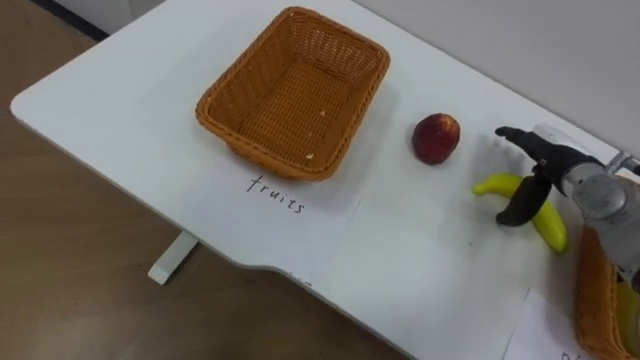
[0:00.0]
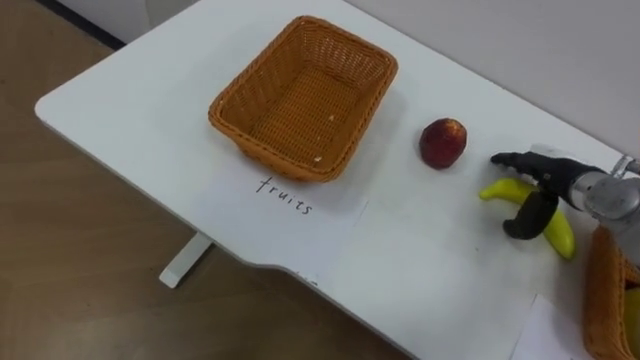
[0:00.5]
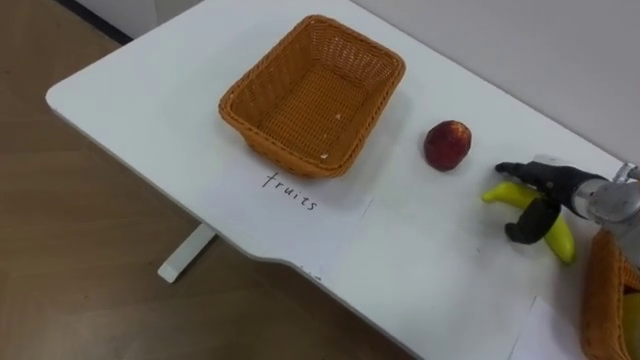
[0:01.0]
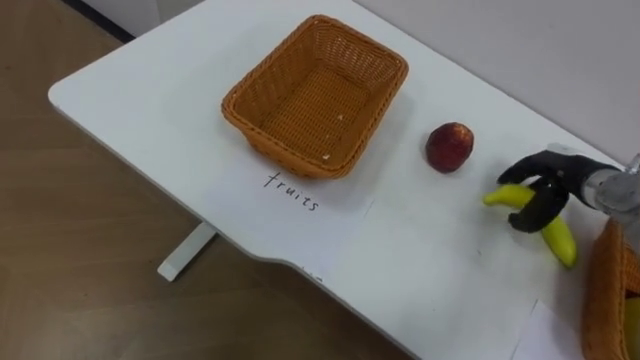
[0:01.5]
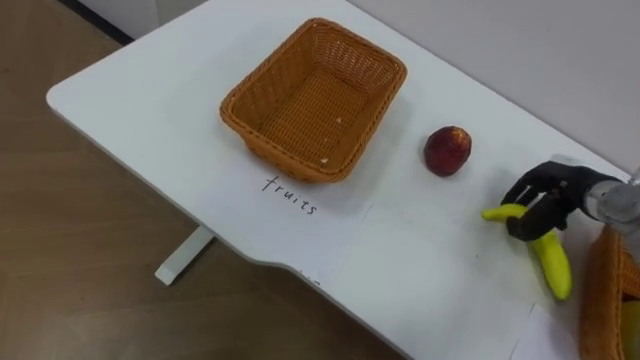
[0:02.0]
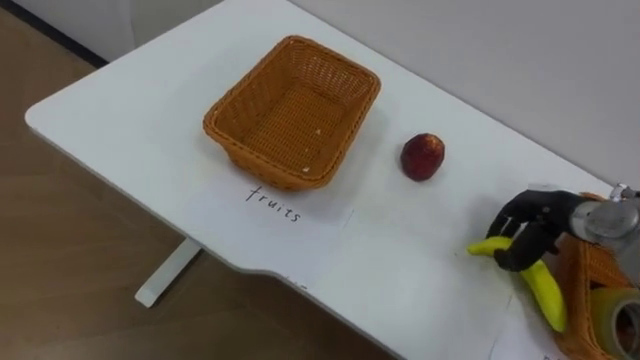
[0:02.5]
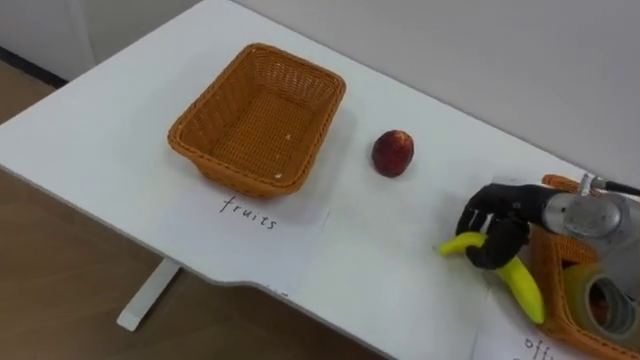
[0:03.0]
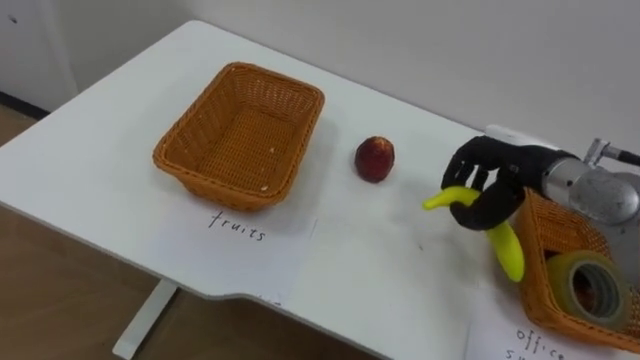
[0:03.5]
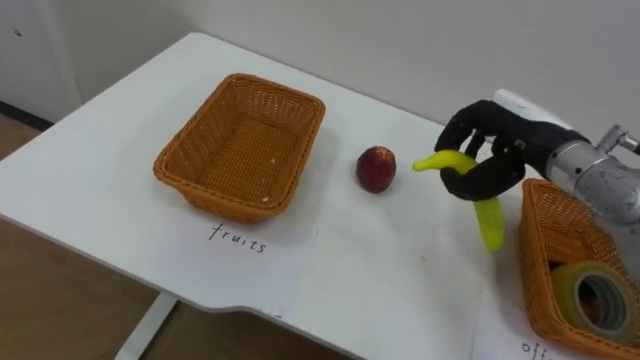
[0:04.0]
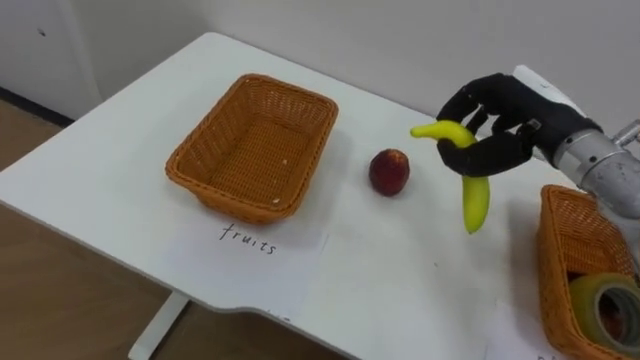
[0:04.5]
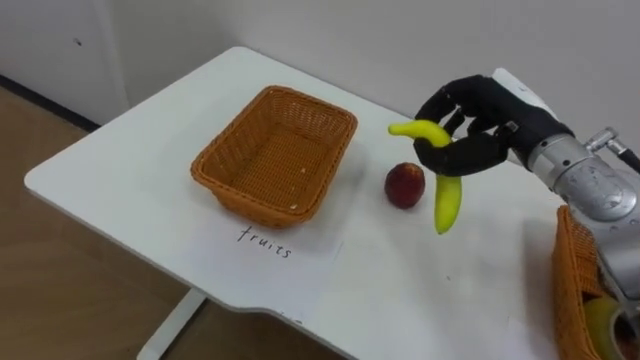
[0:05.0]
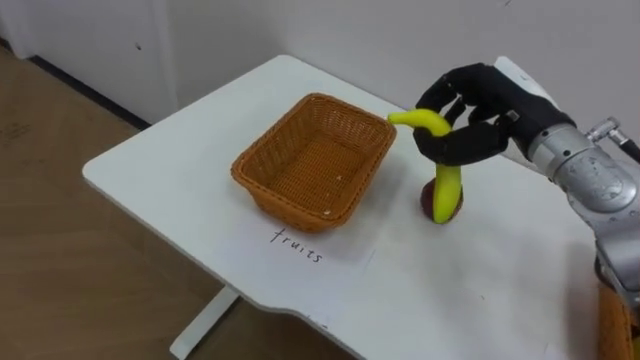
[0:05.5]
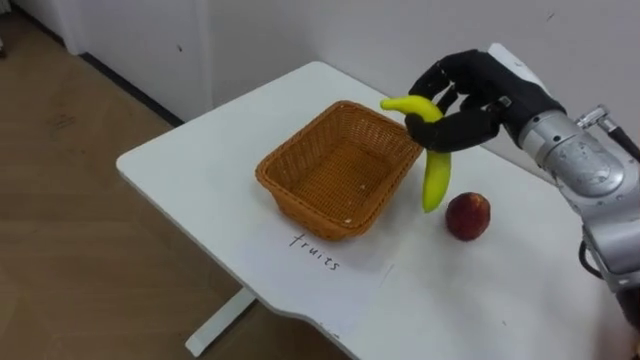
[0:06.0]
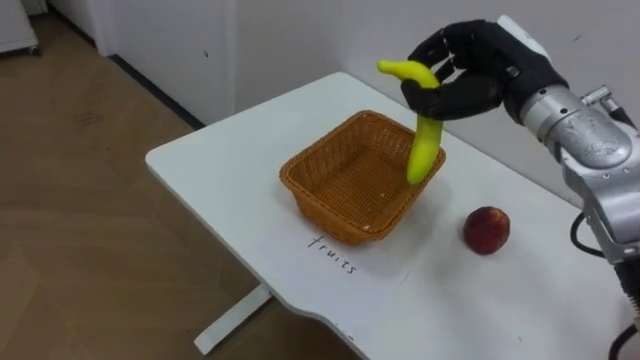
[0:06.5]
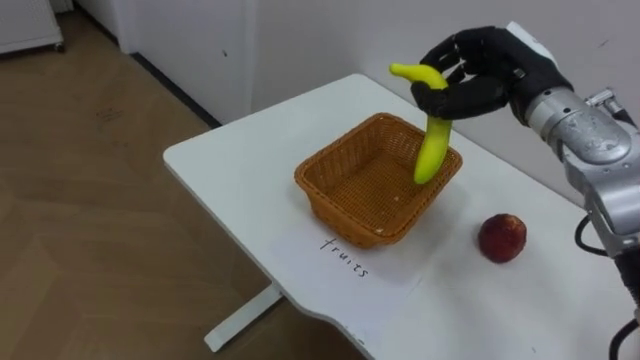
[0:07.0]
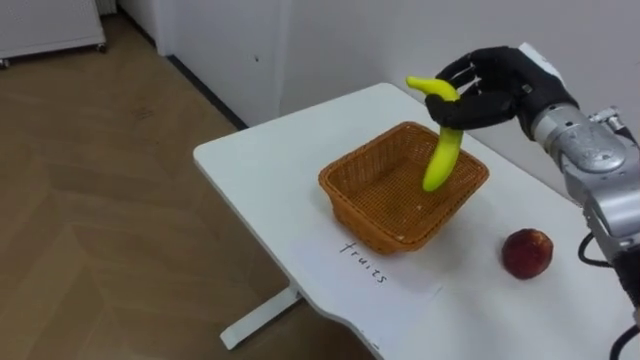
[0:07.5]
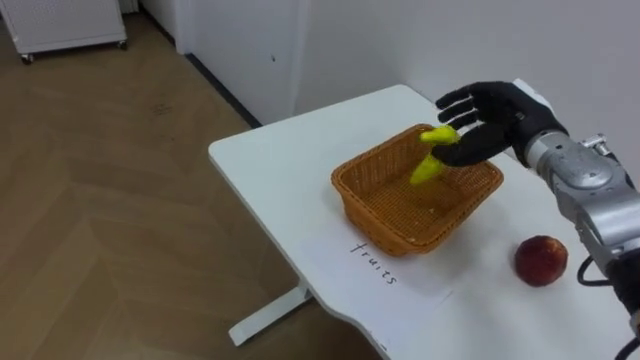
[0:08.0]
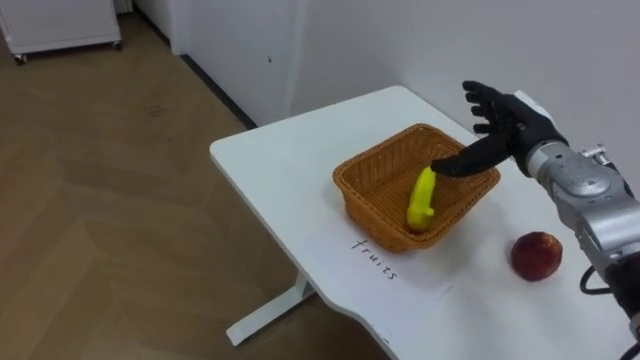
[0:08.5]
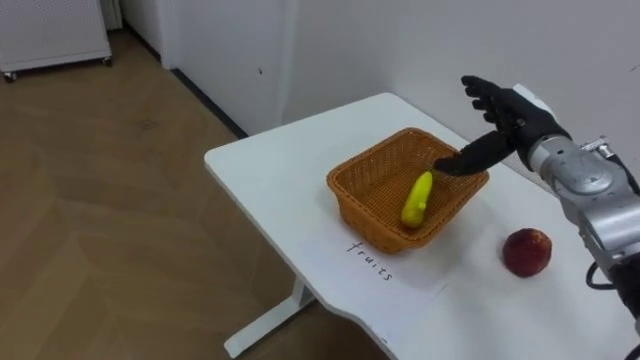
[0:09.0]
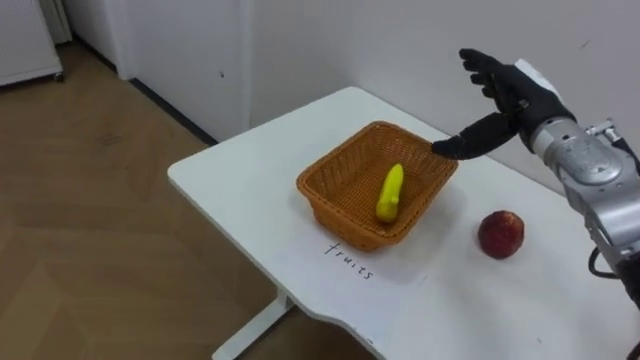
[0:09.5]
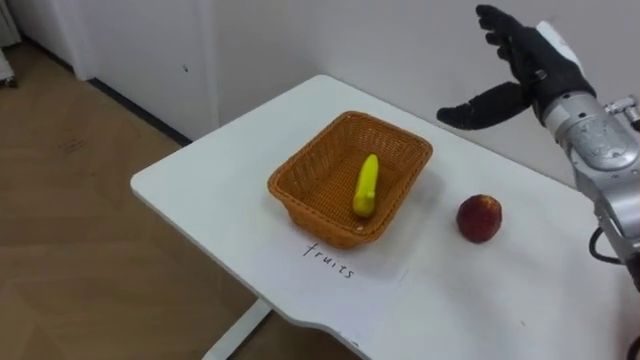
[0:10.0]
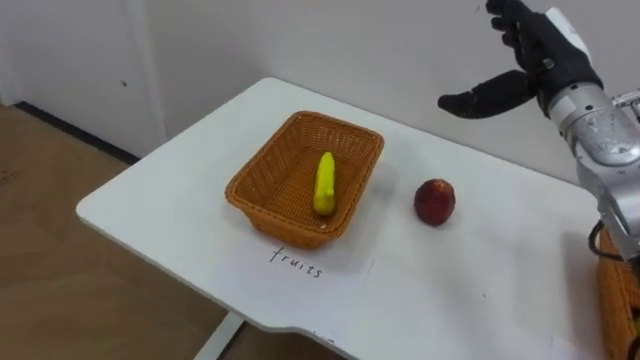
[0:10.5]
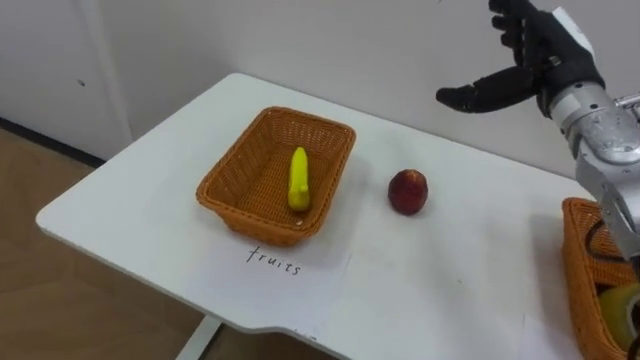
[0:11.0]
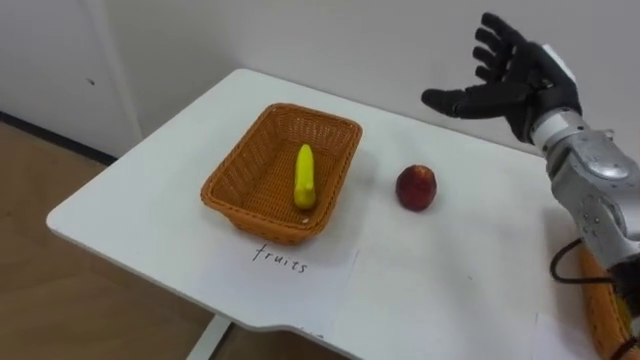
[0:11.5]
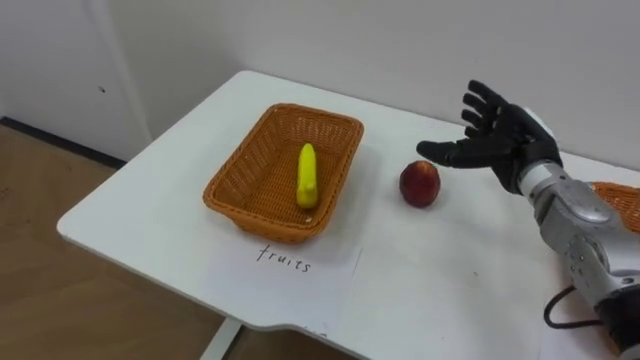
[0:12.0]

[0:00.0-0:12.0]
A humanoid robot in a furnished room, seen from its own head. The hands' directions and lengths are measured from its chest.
Task of the whole recording: Separate the items on the table and place them into the two baskets.
0.0 to 2.0 s: The right hand closes up.
2.0 to 4.0 s: The right hand is displaced upward and to the left by approximately 15 cm.
4.0 to 6.0 s: The right hand moves some 5 cm.
6.0 to 8.0 s: The right hand moves downward, some 5 cm.
8.0 to 10.0 s: The right hand goes some 5 cm upward, and opens its fingers.
10.0 to 12.0 s: The right hand is displaced downward by some 10 cm.

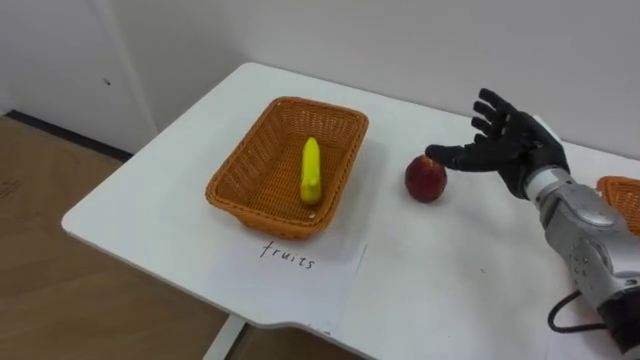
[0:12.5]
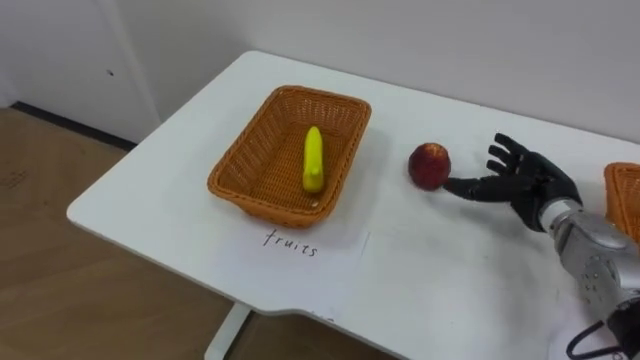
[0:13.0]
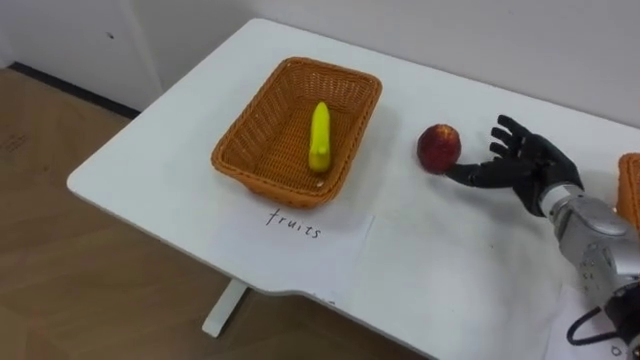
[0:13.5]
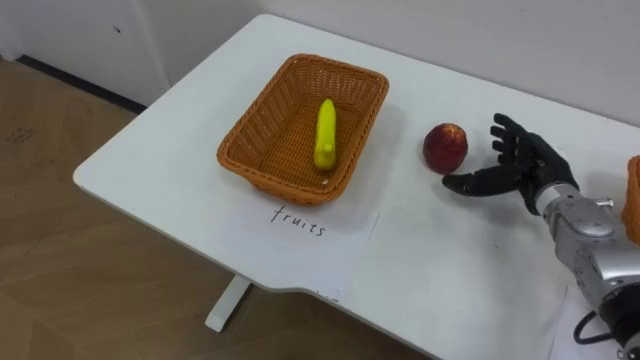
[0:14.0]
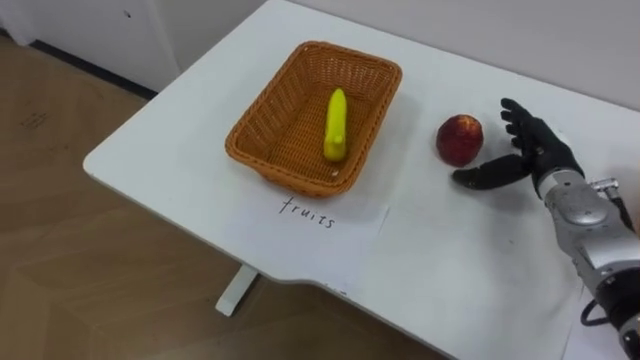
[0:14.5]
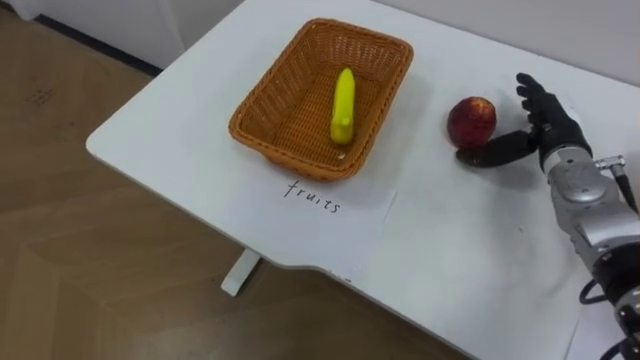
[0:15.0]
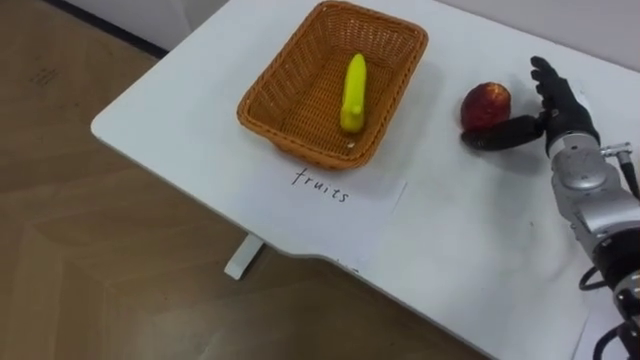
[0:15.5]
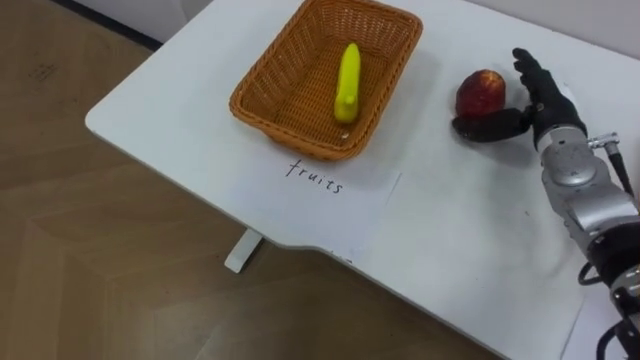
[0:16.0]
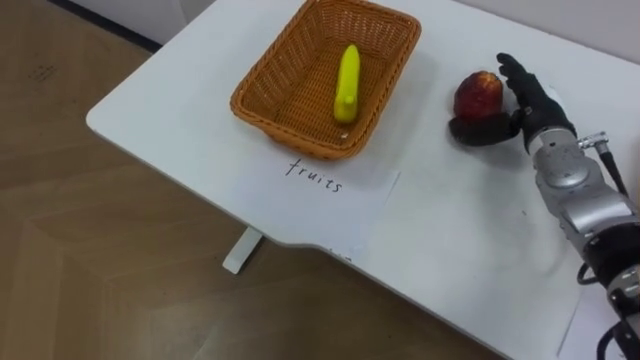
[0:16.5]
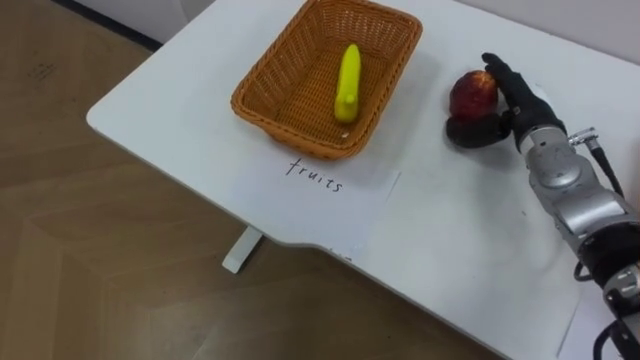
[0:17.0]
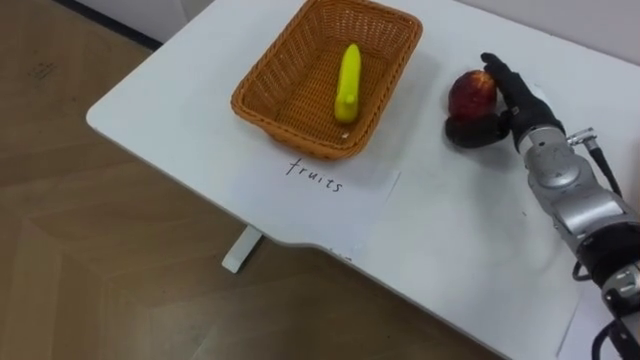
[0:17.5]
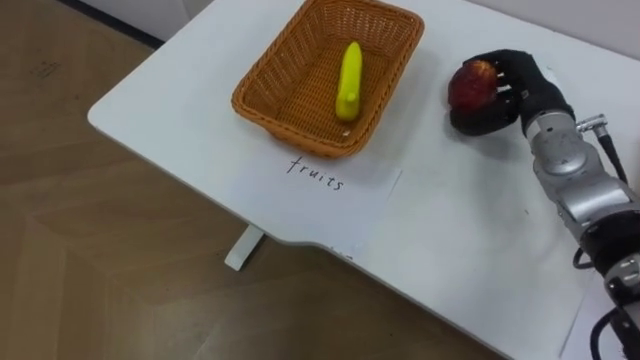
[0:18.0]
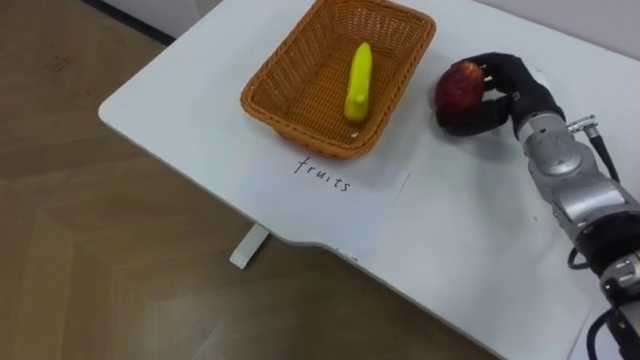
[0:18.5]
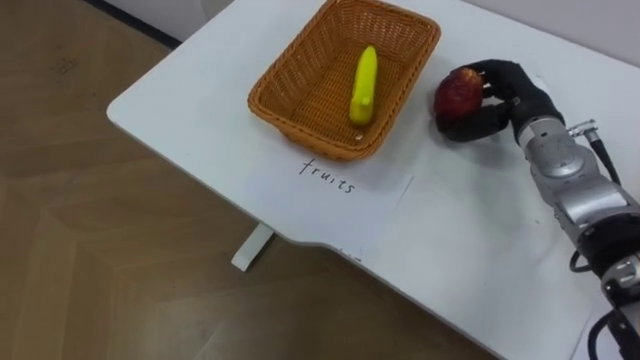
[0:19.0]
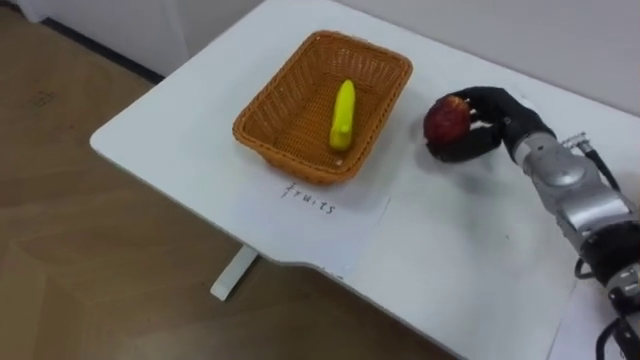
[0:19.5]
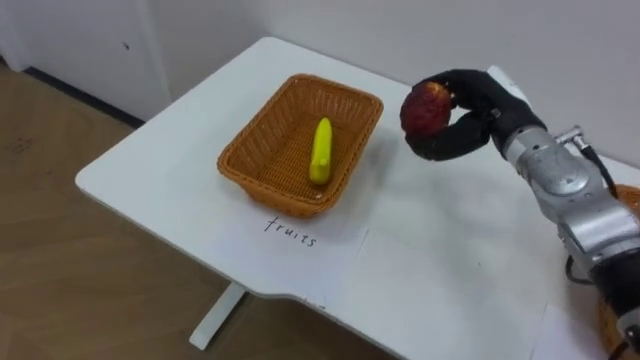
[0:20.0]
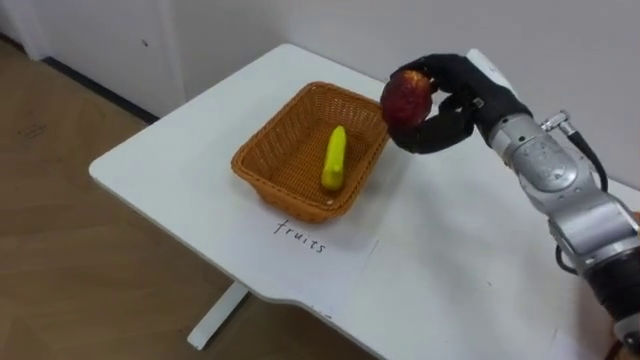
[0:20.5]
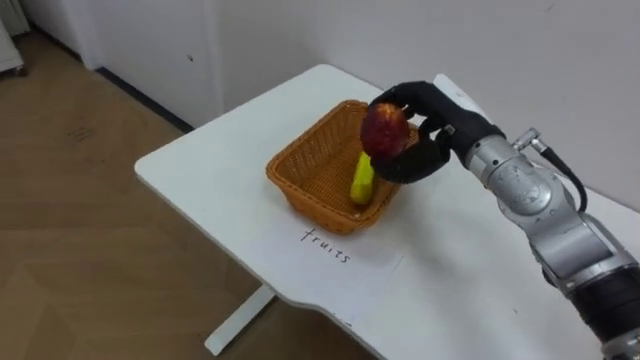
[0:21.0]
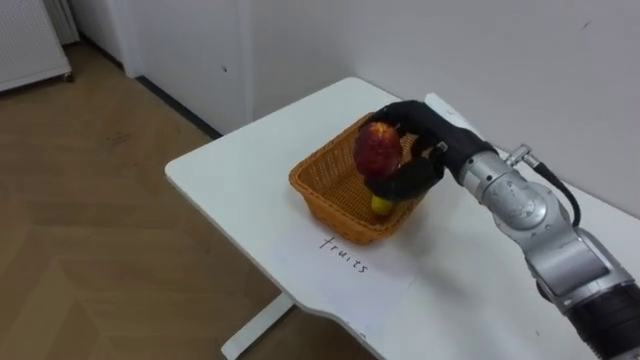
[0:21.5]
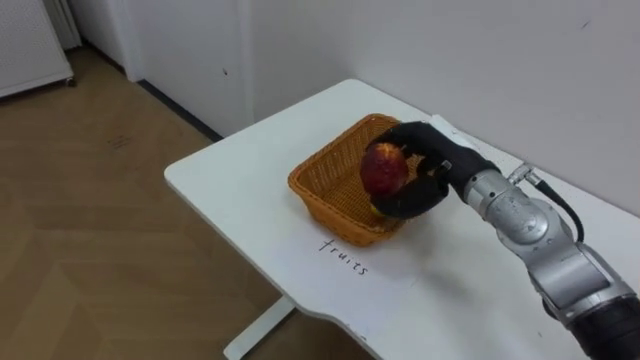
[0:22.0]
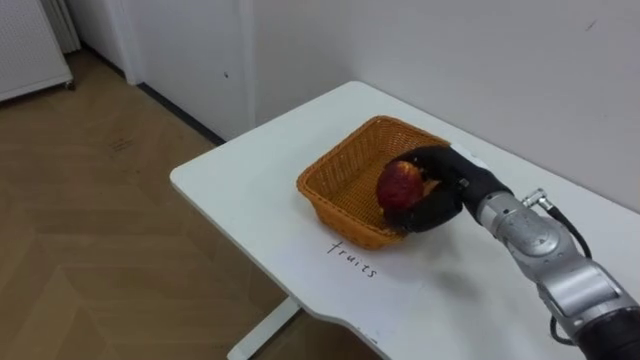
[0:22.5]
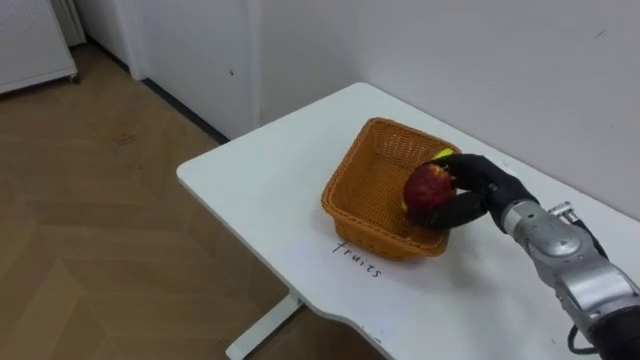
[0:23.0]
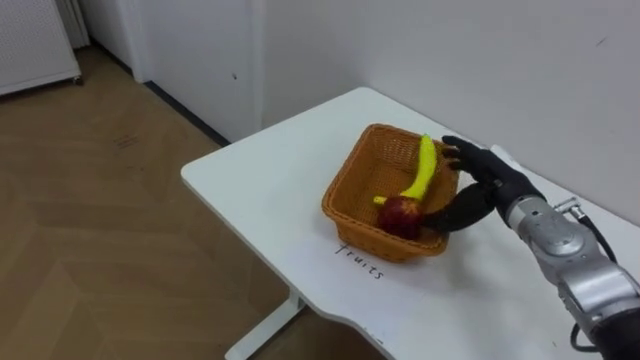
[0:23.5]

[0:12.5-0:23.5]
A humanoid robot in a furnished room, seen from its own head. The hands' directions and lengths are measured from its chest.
Task of the whole recording: Separate the items on the table and place them into the two baskets.
14.5 to 16.0 s: The right hand ends up approximately 5 cm from where it was.
16.0 to 18.0 s: The right hand closes.
20.0 to 21.5 s: The right hand is displaced to the left by approximately 5 cm.
21.5 to 23.5 s: The right hand shifts approximately 10 cm to the right and downward, and opens its fingers.
